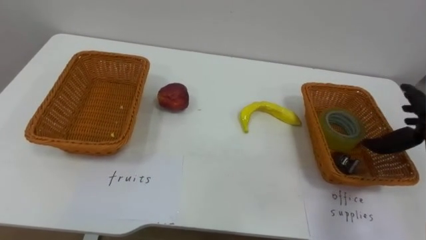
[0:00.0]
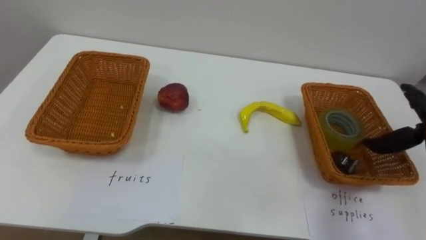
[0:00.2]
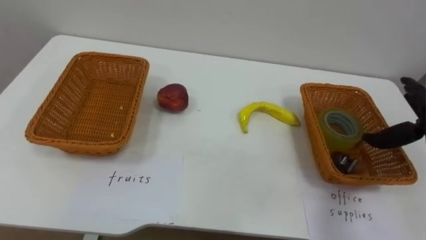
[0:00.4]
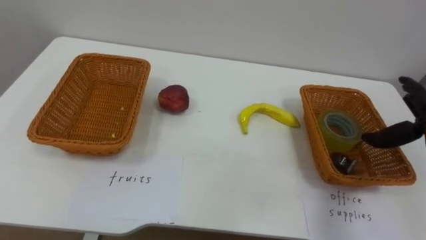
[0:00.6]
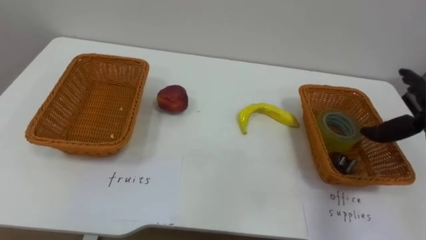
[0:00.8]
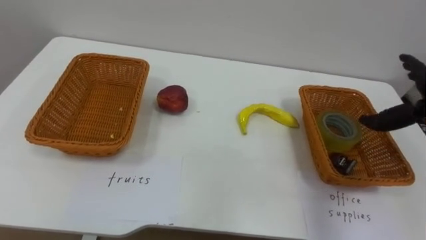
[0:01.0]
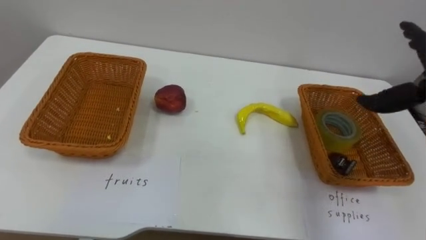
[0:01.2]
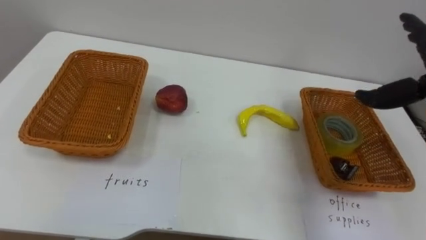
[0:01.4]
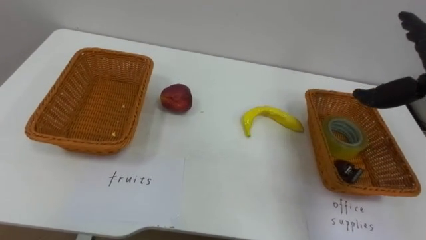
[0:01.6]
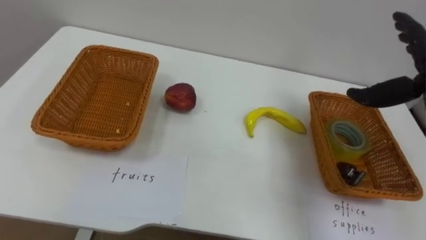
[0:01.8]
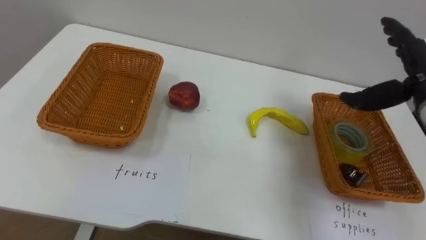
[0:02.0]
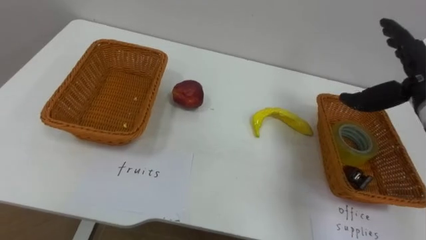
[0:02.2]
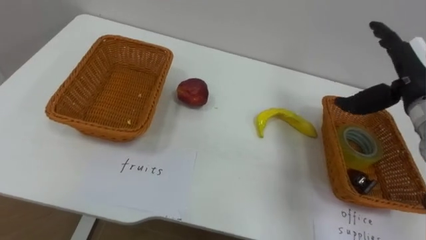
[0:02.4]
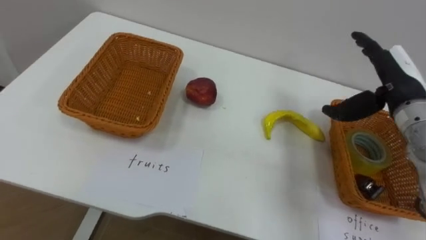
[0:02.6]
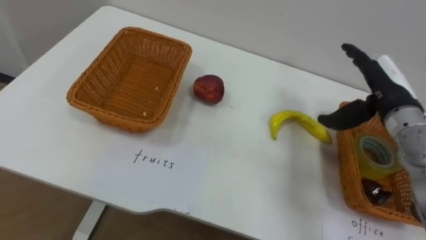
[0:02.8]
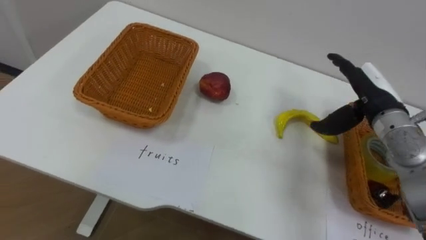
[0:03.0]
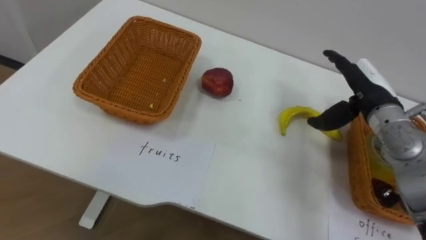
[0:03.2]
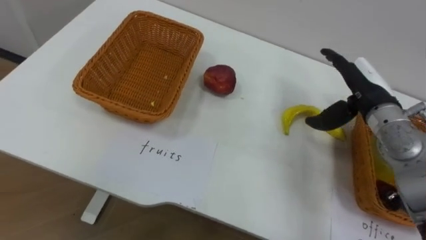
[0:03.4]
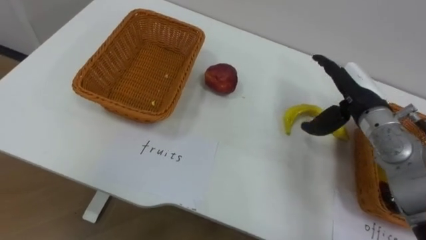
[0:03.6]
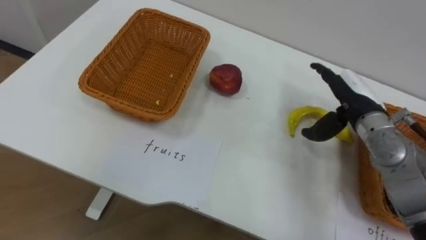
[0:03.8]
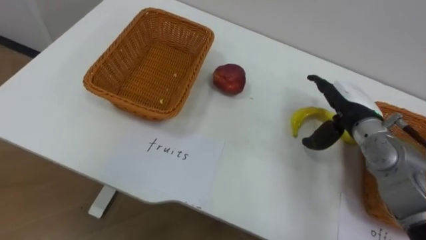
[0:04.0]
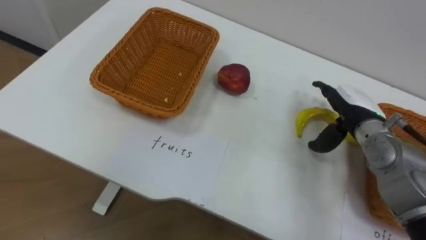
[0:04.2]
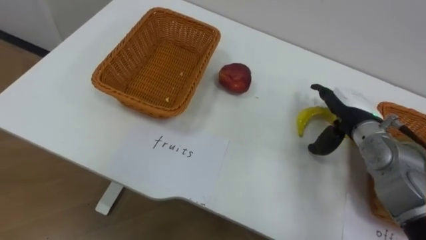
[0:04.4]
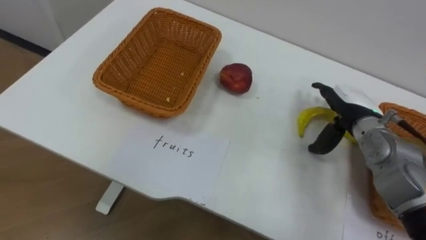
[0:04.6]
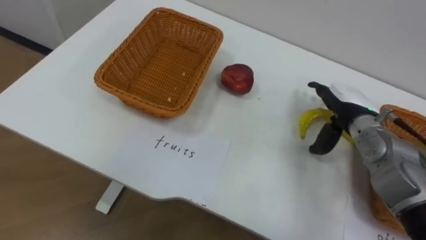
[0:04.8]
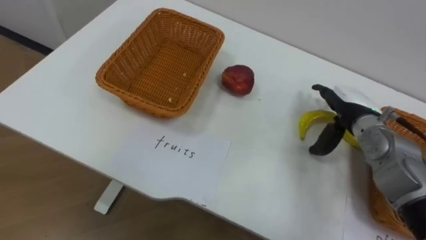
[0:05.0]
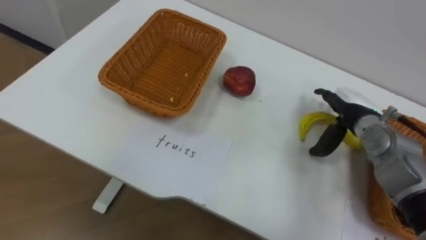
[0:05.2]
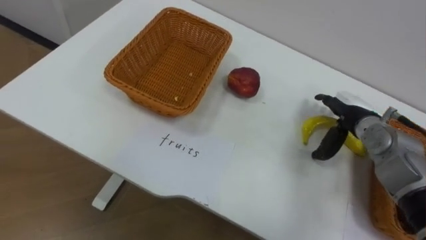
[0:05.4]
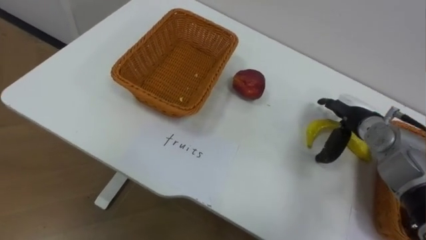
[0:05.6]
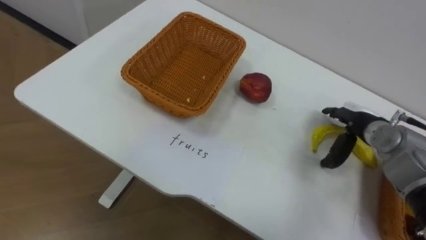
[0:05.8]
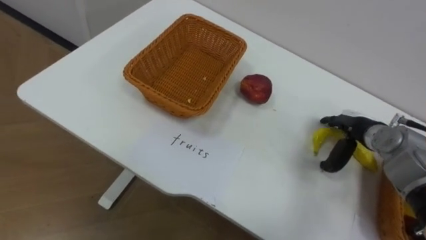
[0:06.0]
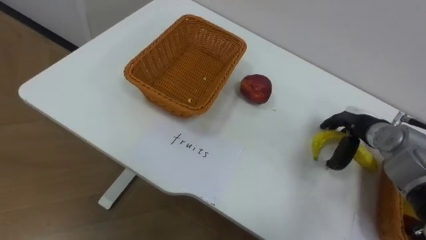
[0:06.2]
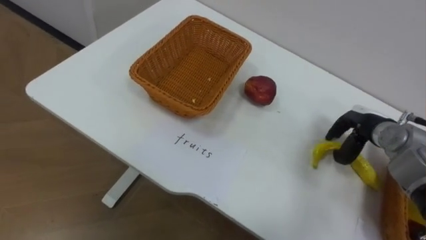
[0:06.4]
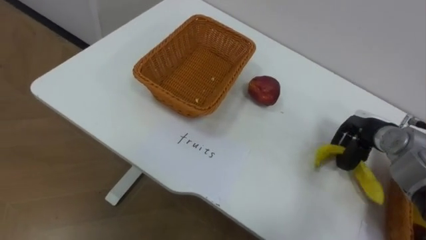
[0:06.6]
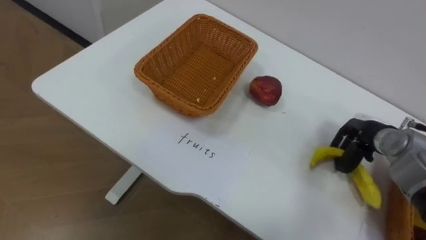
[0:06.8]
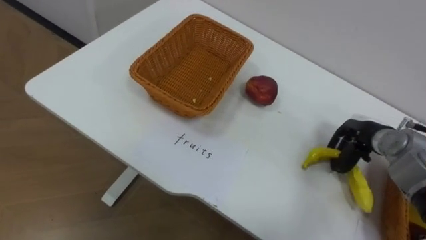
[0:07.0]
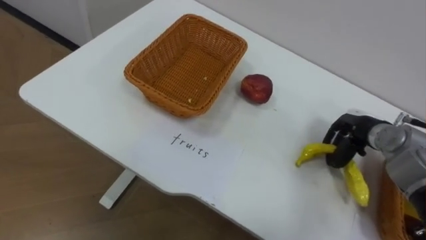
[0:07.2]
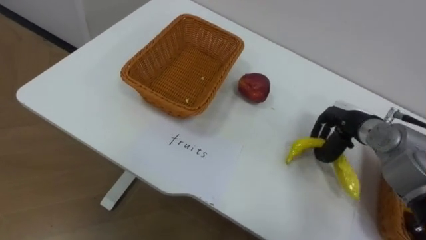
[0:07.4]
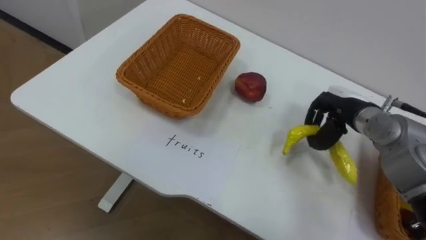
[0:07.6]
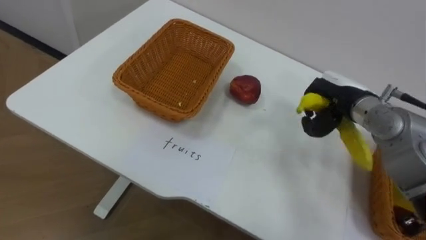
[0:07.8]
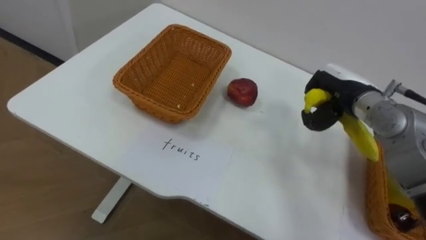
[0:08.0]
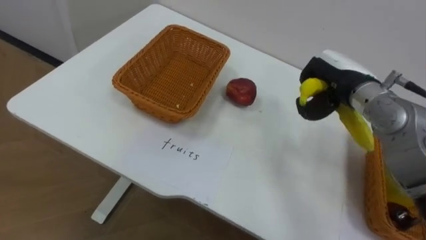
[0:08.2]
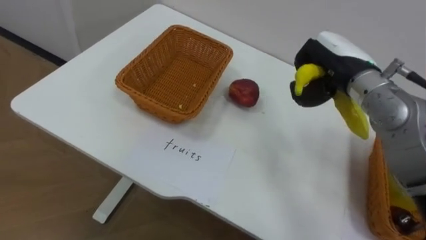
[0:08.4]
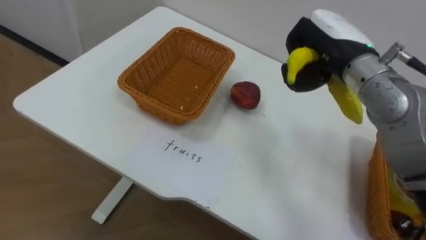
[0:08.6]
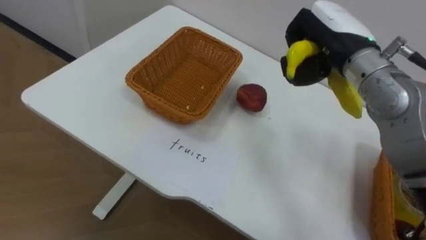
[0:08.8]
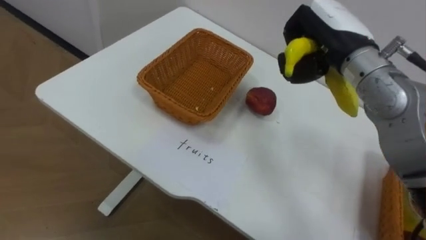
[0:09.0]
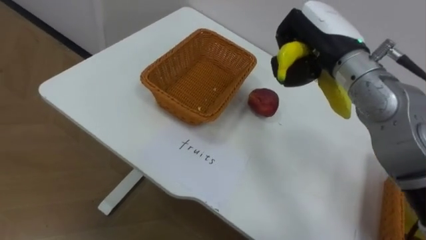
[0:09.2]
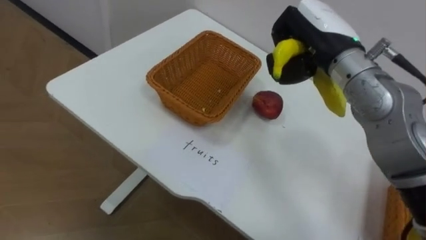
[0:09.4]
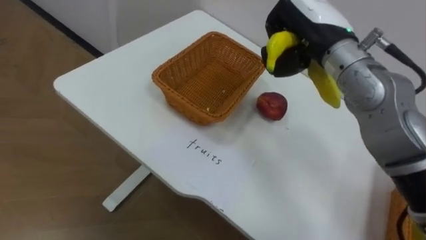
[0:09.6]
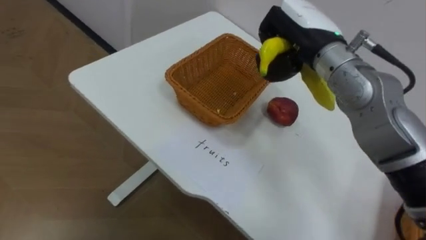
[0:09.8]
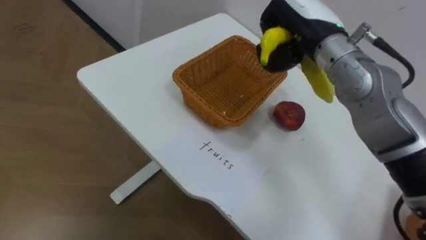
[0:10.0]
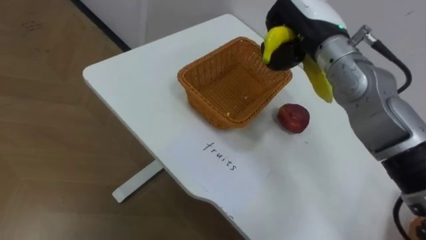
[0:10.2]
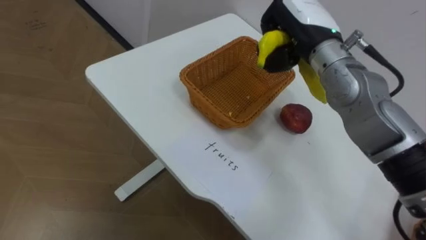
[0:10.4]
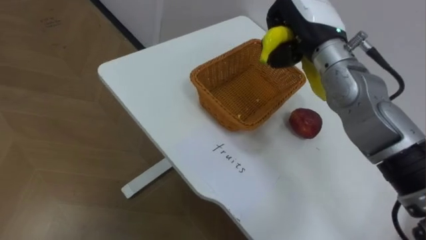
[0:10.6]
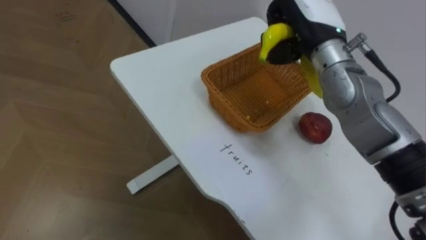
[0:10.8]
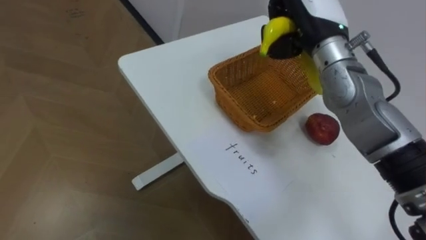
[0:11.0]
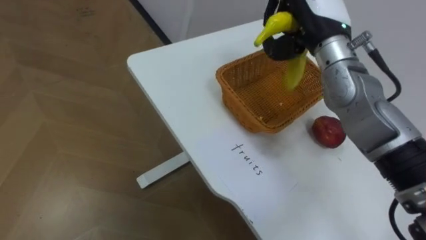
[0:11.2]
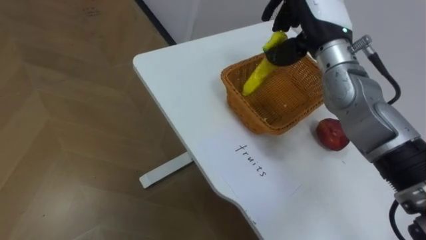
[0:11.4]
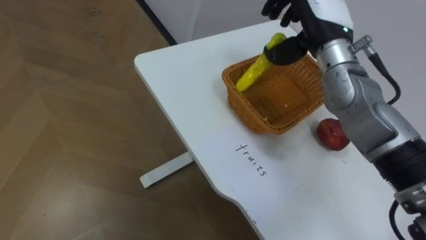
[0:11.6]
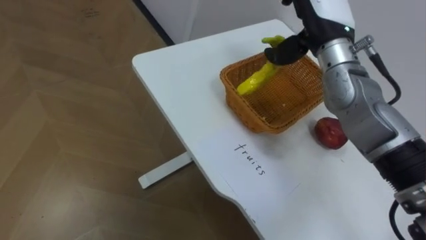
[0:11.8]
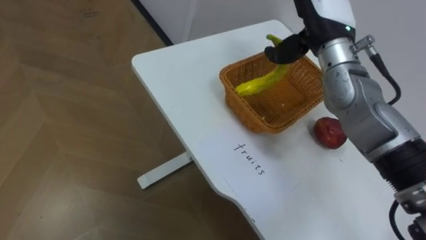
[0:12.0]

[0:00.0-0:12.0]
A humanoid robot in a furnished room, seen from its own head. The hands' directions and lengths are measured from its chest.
Task of the whole recording: Separate the items on the table and place them into the two baskets.
0:03.0 to 0:04.4: The right hand is displaced downward by roughly 5 cm.
0:04.4 to 0:06.0: The right hand is displaced downward by about 5 cm.
0:06.0 to 0:07.6: The right hand heads upward, covering roughly 5 cm, and closes.
0:07.6 to 0:09.0: The right hand is displaced upward and to the left by approximately 15 cm.
0:09.0 to 0:10.4: The right hand moves roughly 5 cm.
0:10.4 to 0:12.0: The right hand opens up.

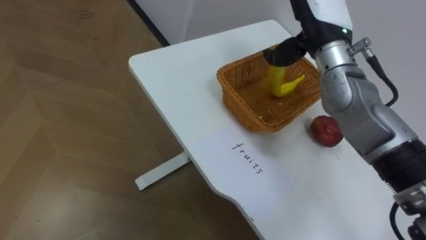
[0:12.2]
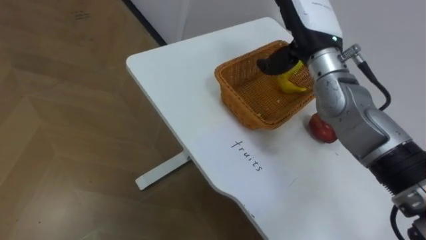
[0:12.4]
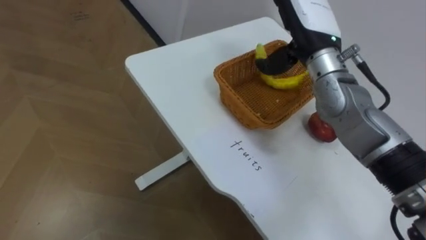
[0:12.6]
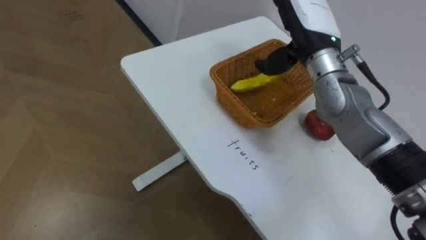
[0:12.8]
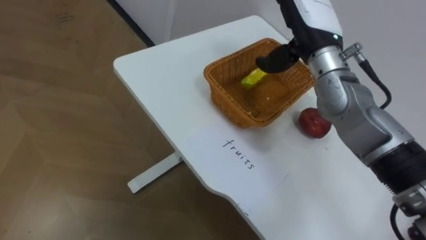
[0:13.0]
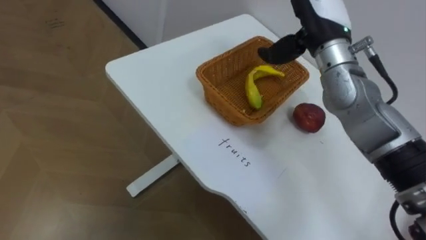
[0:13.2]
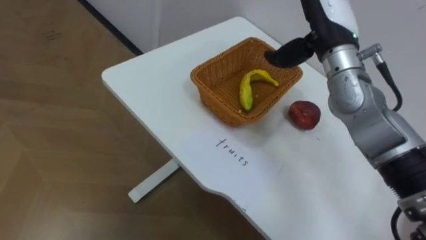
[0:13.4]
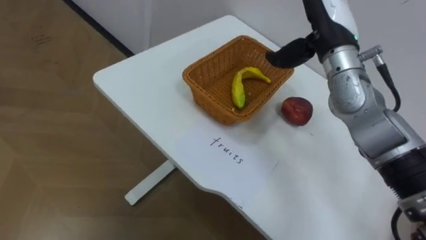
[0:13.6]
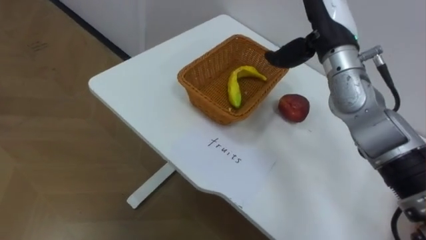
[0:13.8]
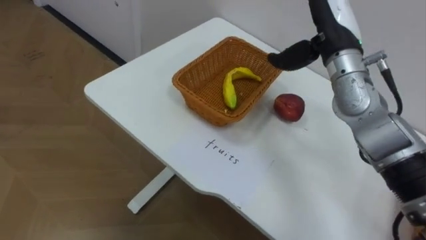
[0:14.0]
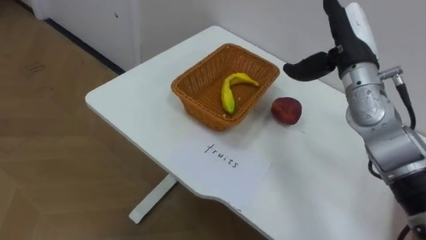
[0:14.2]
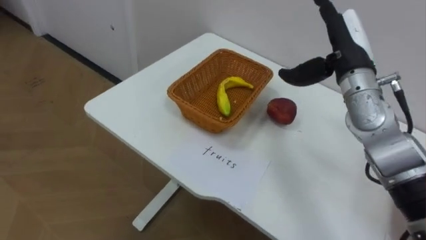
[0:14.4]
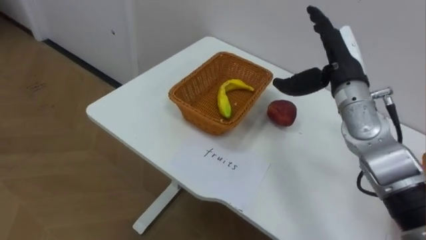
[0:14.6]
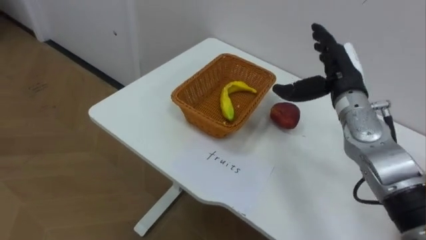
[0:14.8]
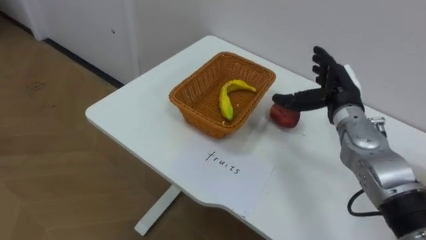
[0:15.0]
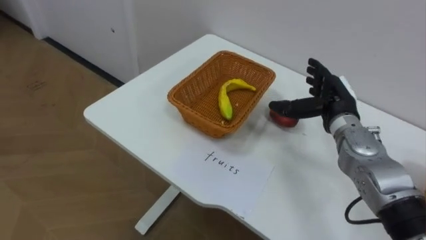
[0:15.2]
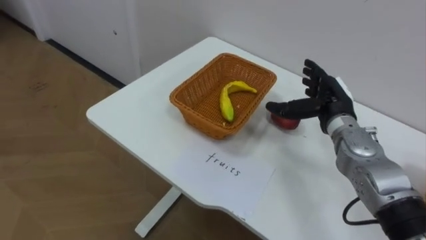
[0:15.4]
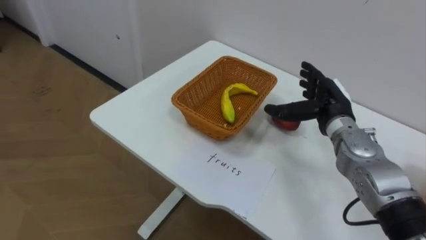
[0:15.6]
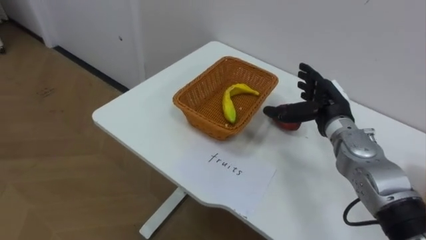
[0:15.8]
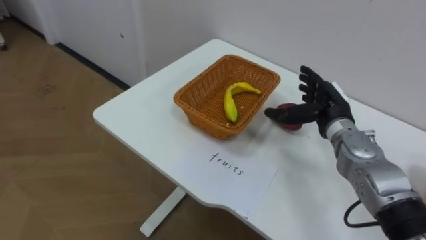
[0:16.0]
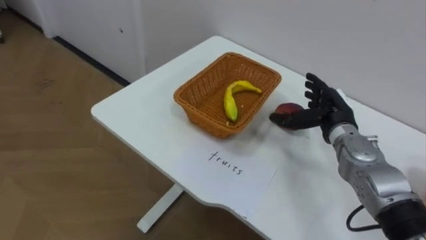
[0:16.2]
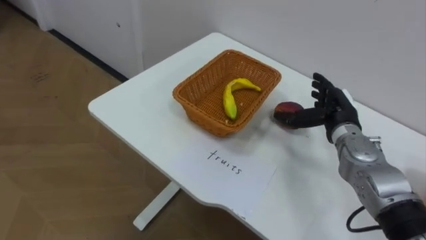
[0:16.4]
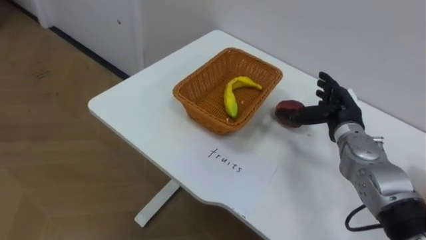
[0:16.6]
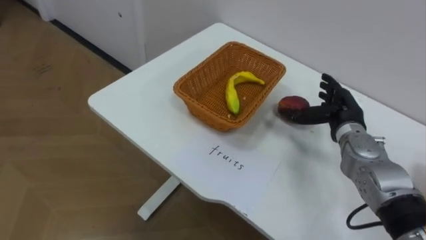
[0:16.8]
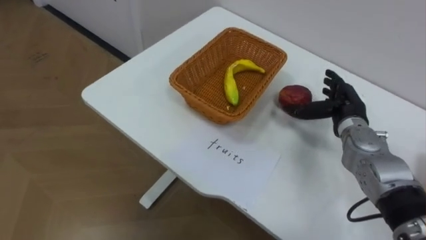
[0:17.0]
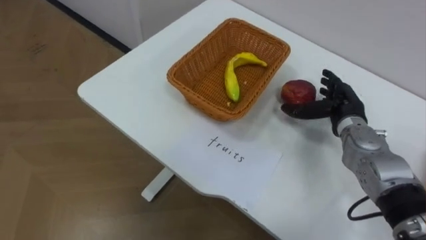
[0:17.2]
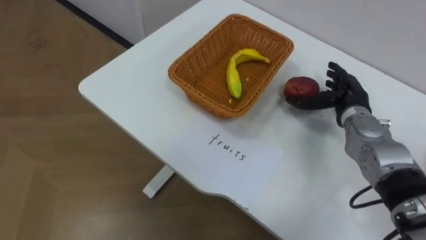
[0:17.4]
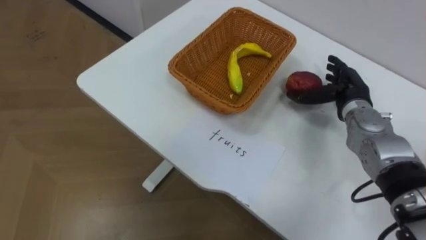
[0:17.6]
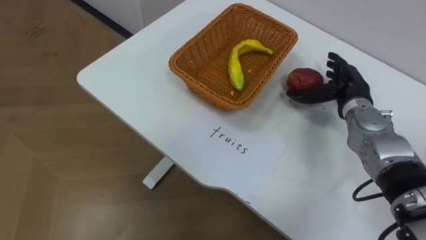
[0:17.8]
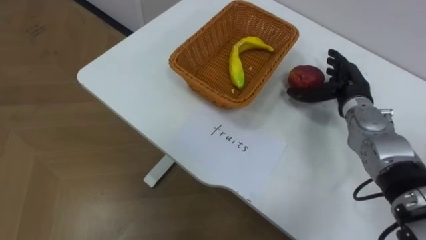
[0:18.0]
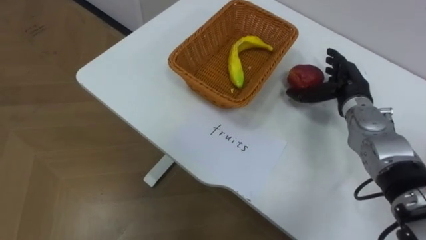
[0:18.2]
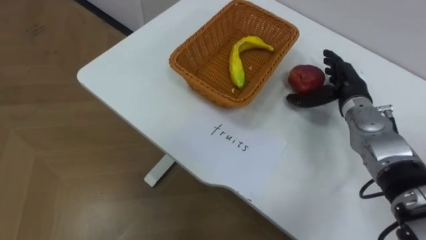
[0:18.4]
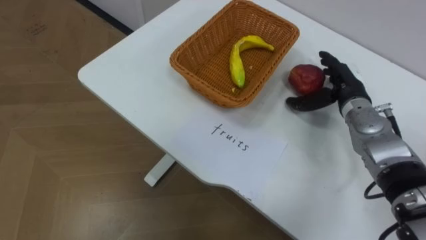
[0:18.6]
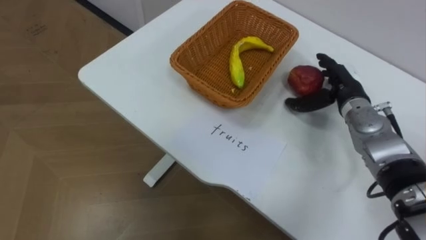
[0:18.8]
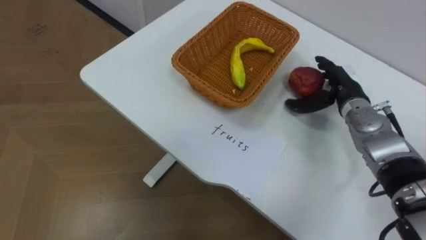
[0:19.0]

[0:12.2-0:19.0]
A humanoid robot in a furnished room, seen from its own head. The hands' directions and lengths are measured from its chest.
Task of the whole recording: Separate the items on the table and place them into the two baskets.
0:13.6 to 0:15.0: The right hand heads downward and to the right, covering roughly 15 cm.
0:16.2 to 0:17.6: The right hand changes place by about 5 cm.
